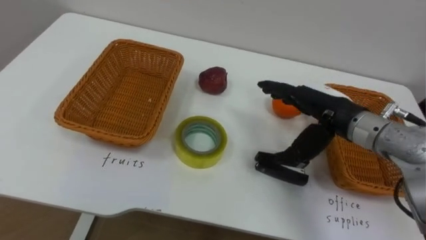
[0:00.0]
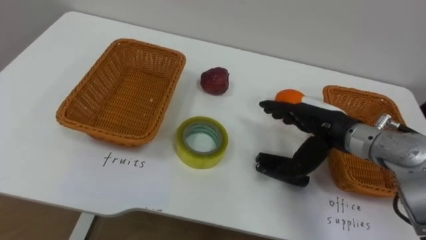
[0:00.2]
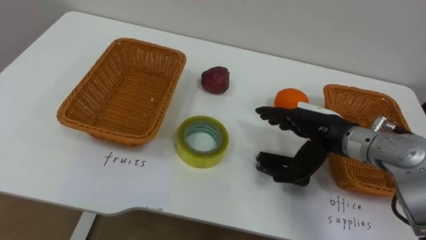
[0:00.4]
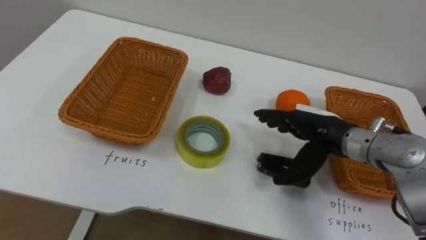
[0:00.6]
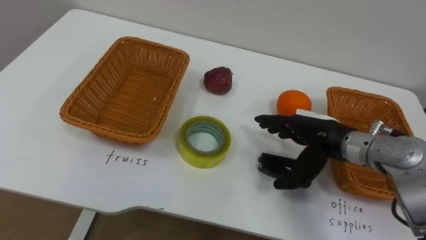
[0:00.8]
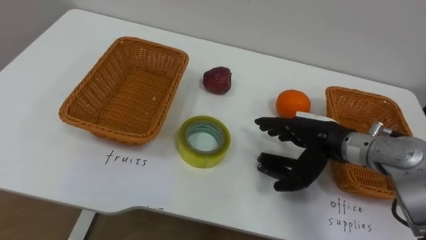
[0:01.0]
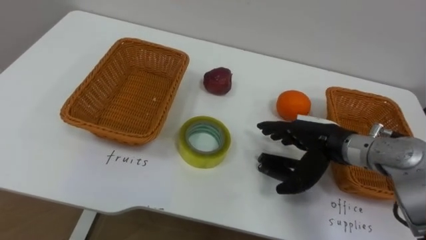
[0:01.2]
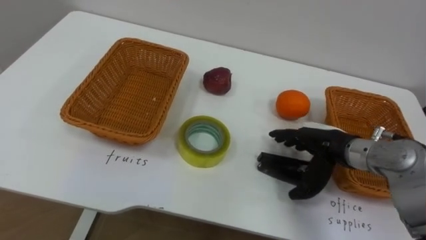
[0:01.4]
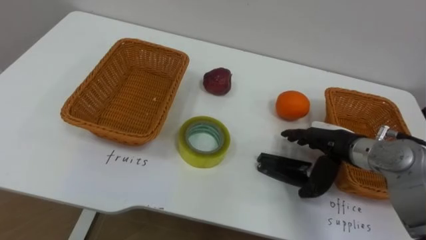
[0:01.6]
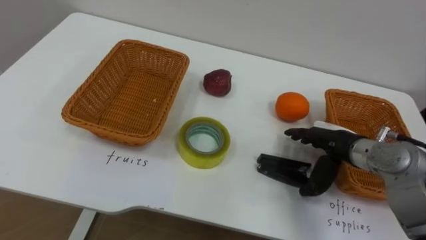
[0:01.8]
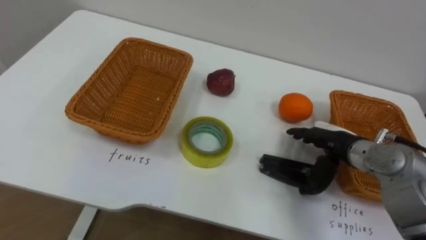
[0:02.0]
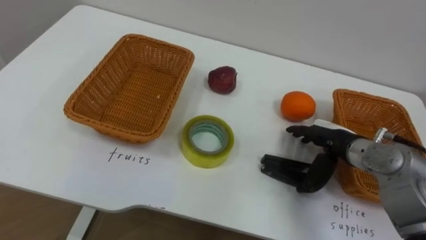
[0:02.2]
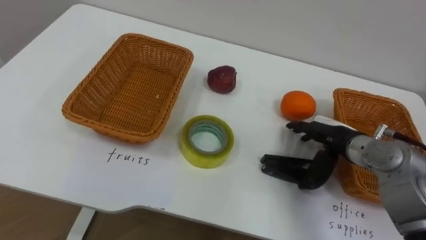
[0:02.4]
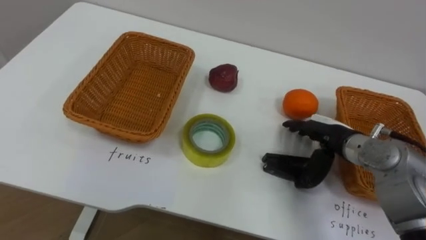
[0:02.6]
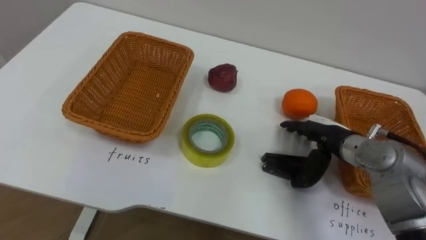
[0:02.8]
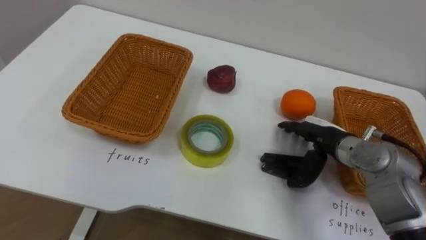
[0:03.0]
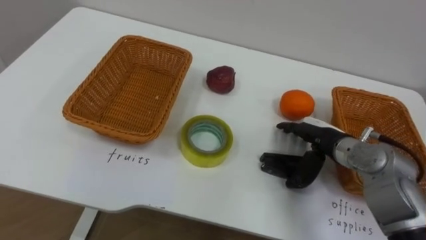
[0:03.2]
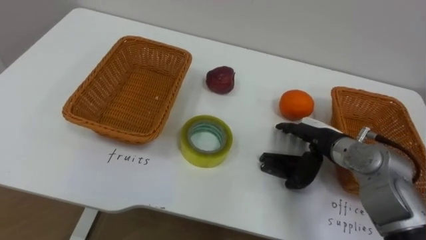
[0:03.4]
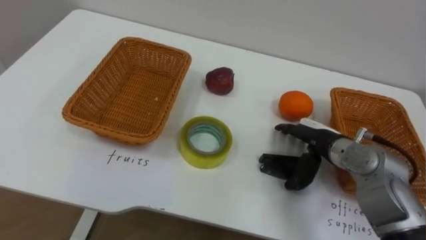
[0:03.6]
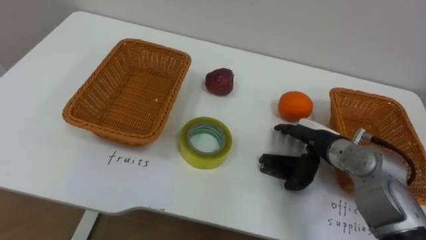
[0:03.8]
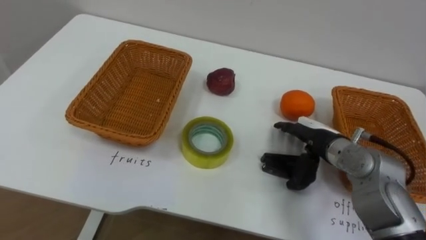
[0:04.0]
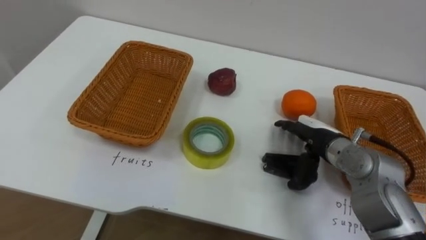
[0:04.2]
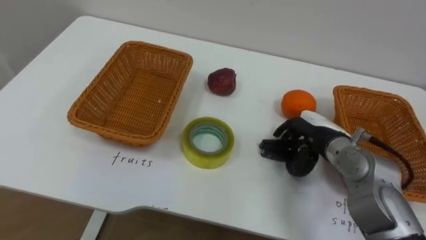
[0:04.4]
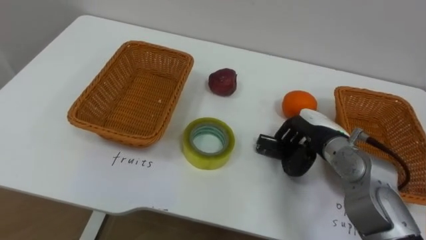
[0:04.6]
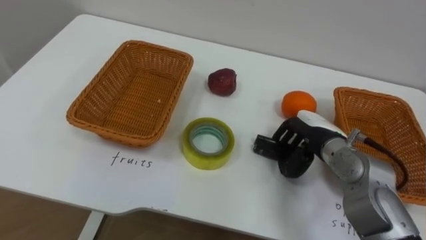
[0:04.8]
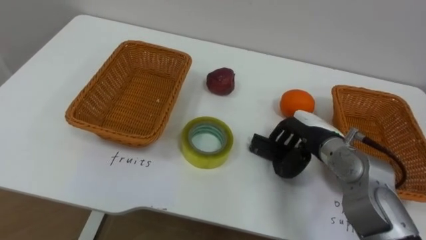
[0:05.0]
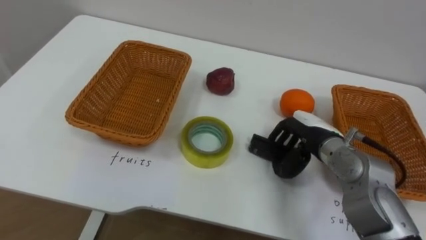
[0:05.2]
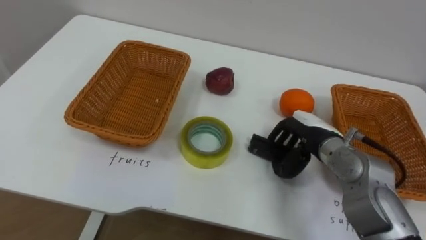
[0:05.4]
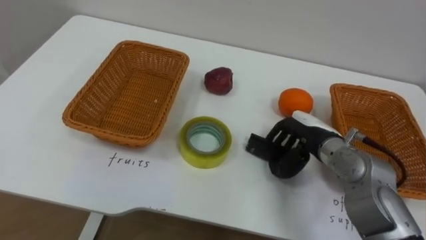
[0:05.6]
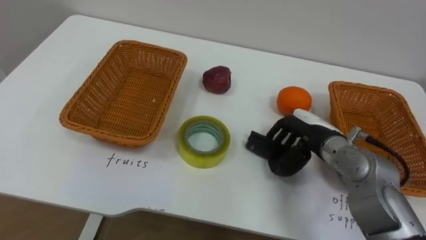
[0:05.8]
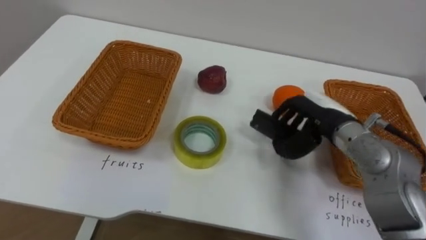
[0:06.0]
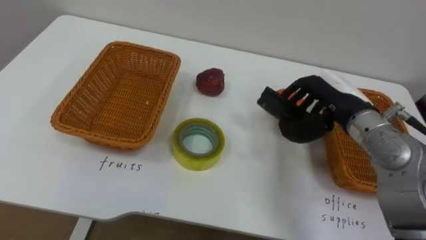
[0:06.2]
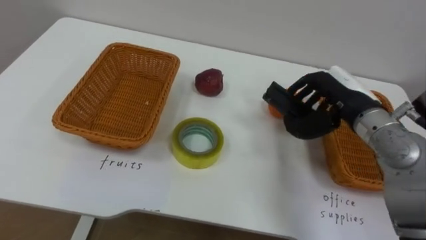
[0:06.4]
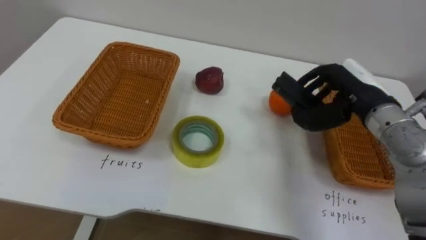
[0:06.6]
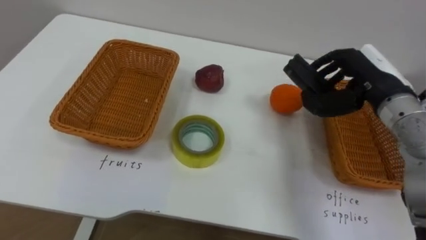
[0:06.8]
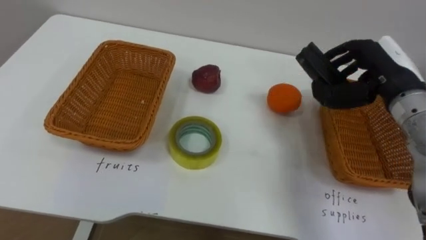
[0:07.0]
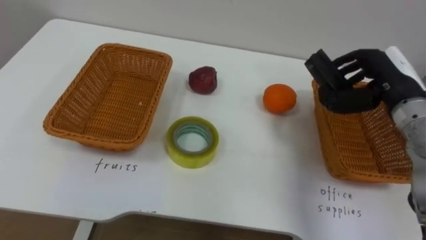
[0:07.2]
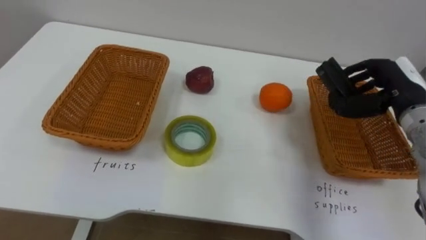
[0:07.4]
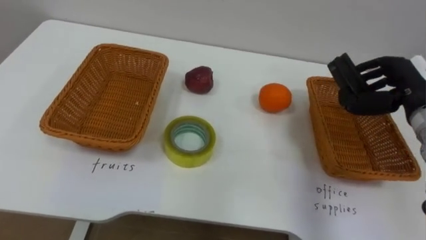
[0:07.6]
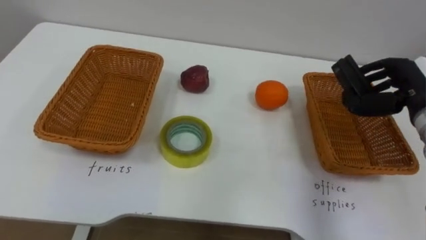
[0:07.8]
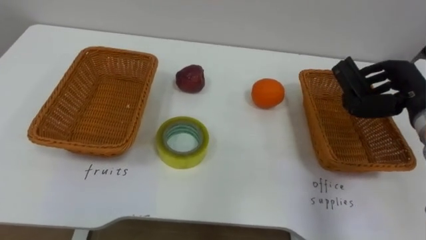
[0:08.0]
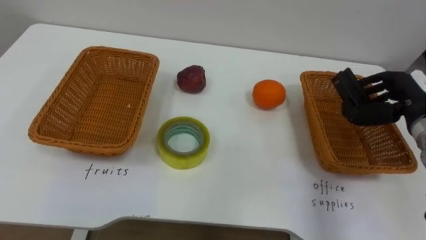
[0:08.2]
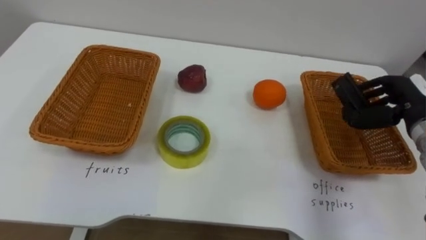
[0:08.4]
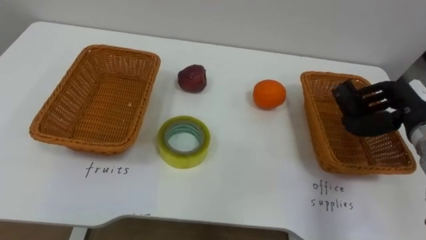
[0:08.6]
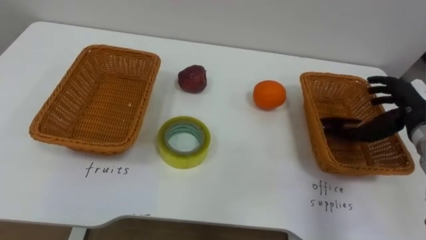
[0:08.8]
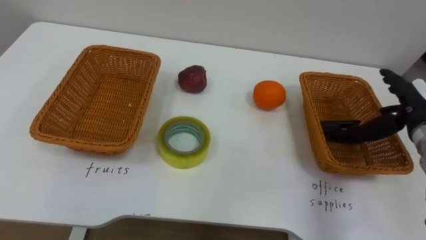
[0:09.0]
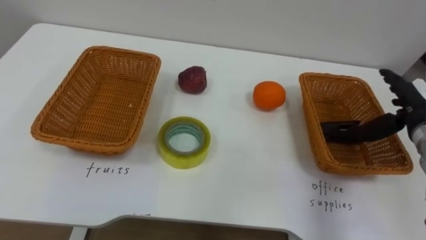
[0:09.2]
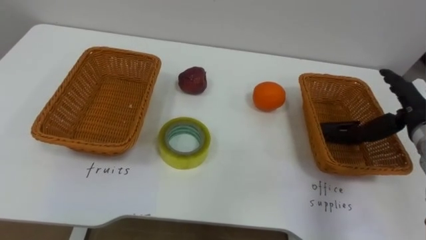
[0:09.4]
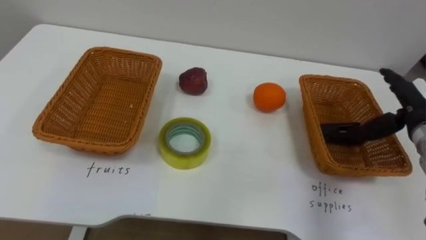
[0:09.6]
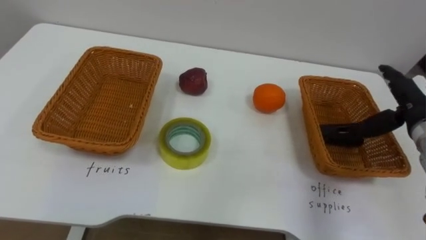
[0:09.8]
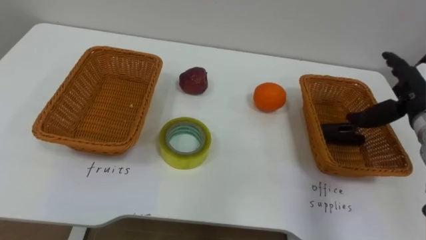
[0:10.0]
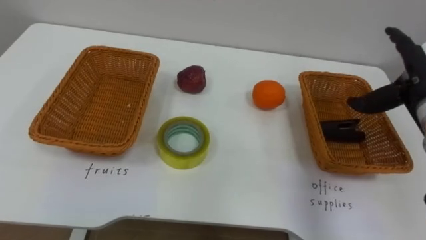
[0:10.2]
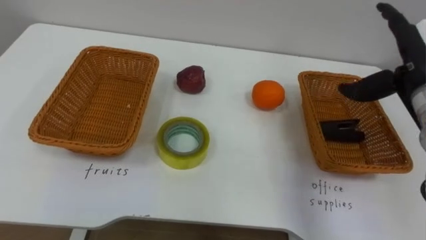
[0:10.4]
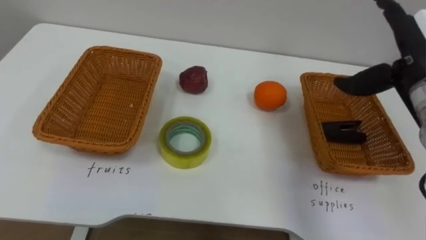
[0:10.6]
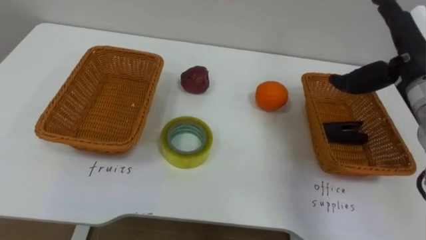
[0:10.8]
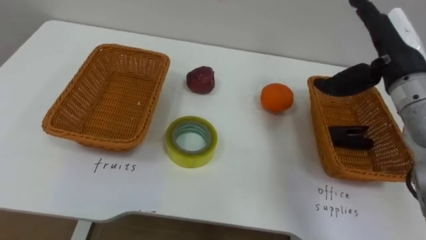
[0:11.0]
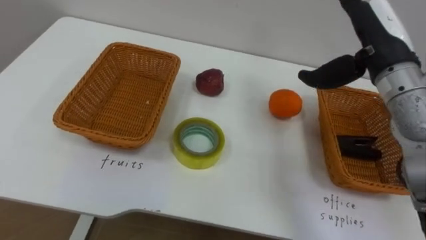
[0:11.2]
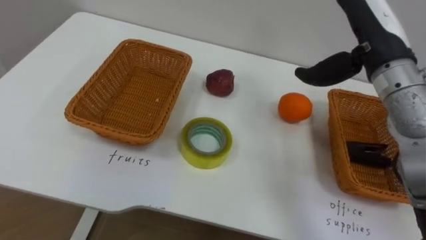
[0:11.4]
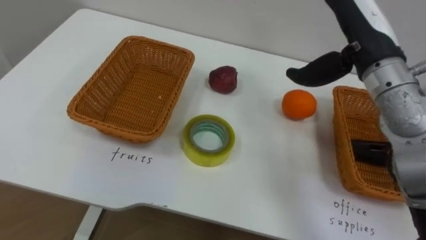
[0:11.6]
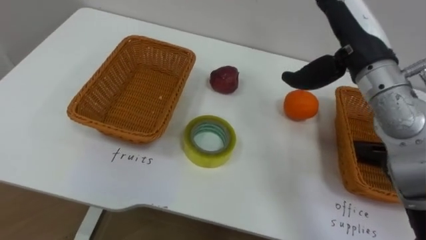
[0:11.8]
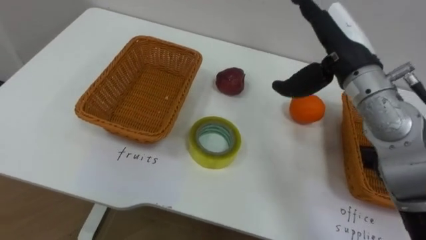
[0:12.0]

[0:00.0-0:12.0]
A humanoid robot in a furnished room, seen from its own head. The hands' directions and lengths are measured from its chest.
Task of the whole recording: Separate the items on the table and place them into the two baskets.
0:00.0 to 0:01.6: The right hand heads downward, covering approximately 10 cm.
0:06.0 to 0:07.6: The right hand goes approximately 15 cm to the right.
0:07.6 to 0:09.0: The right hand opens its fingers.
0:09.0 to 0:10.4: The right hand moves upward, about 10 cm.
0:10.4 to 0:12.0: The right hand moves to the left, about 10 cm.

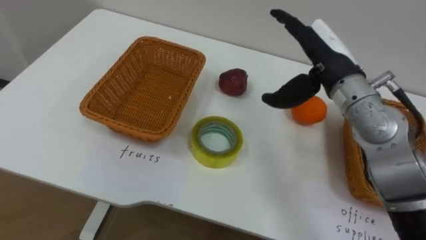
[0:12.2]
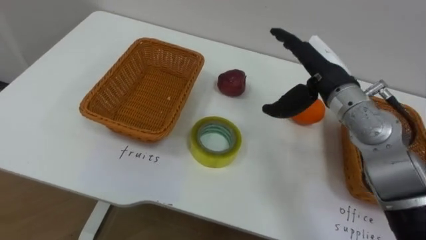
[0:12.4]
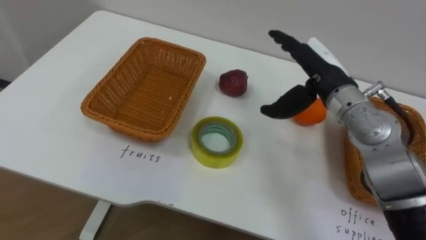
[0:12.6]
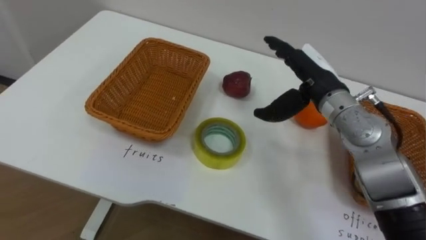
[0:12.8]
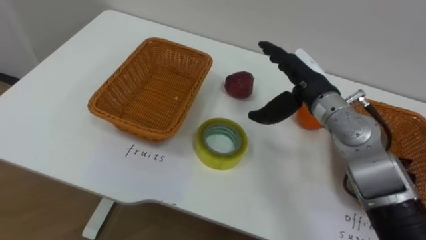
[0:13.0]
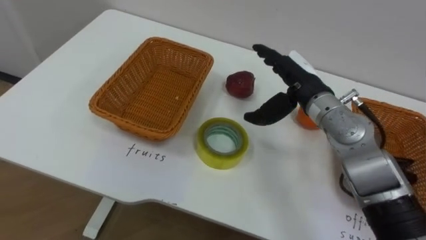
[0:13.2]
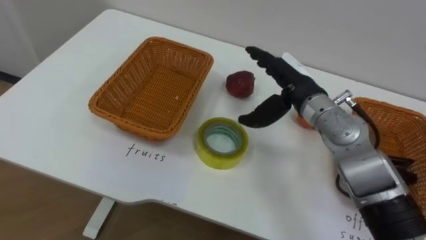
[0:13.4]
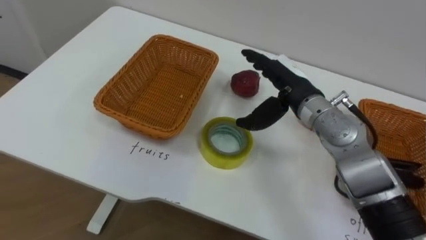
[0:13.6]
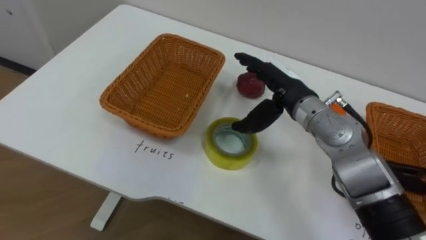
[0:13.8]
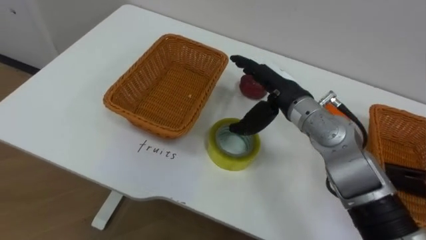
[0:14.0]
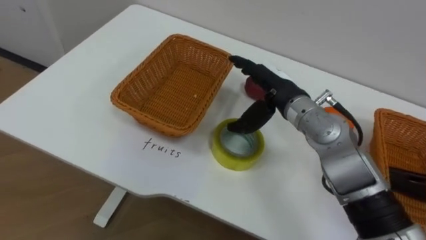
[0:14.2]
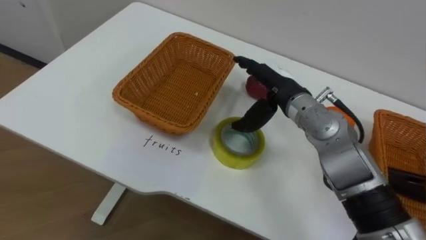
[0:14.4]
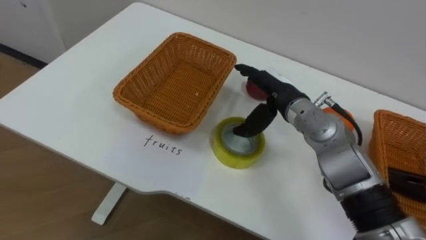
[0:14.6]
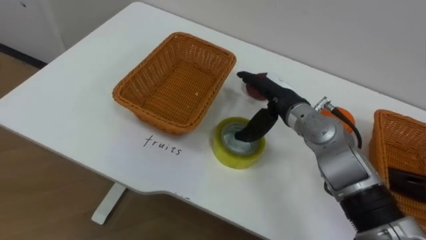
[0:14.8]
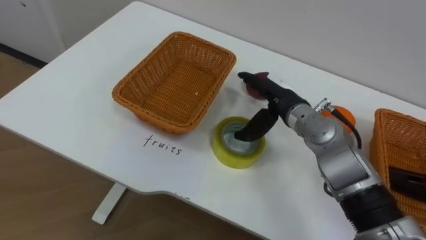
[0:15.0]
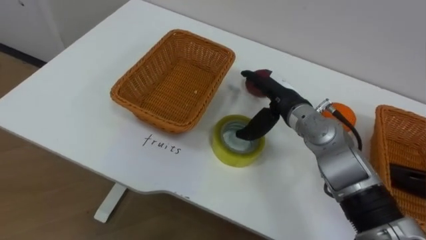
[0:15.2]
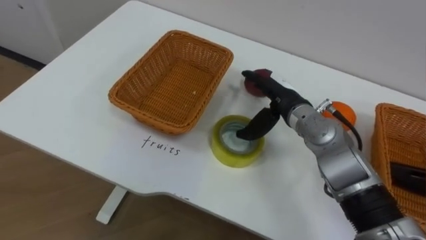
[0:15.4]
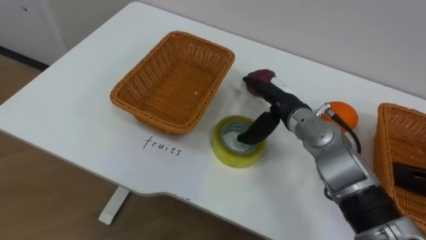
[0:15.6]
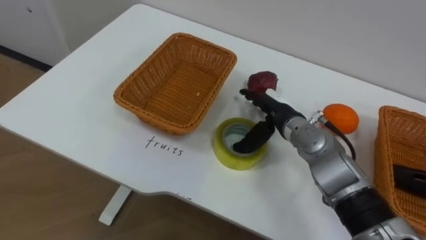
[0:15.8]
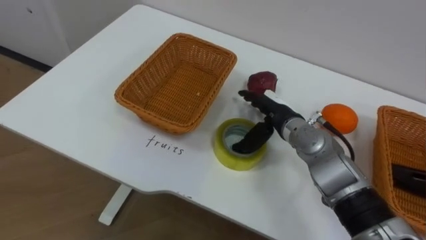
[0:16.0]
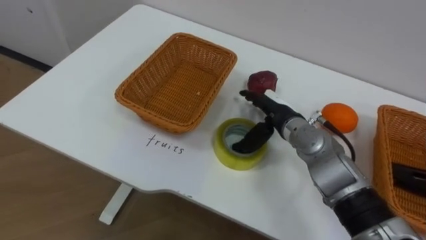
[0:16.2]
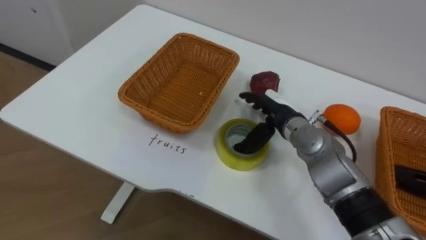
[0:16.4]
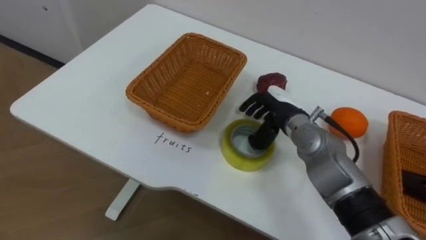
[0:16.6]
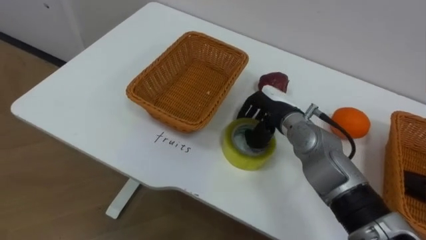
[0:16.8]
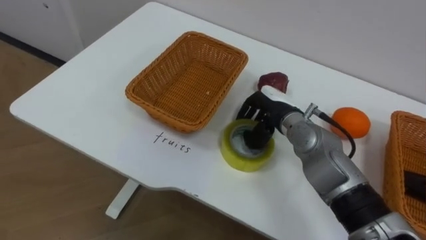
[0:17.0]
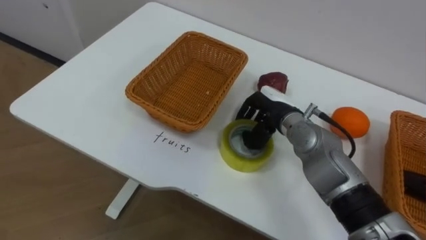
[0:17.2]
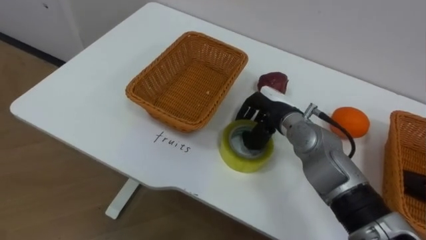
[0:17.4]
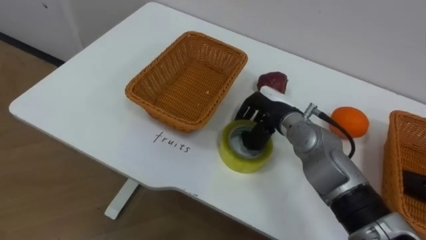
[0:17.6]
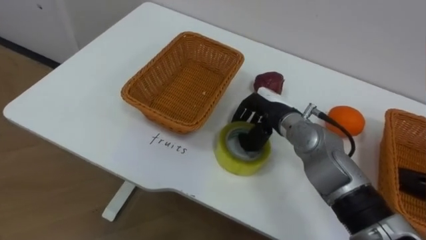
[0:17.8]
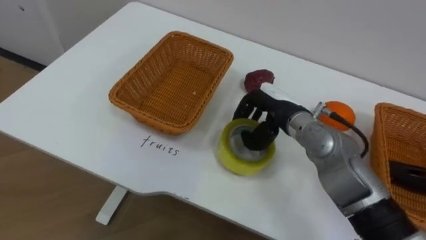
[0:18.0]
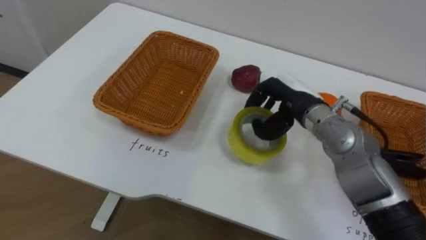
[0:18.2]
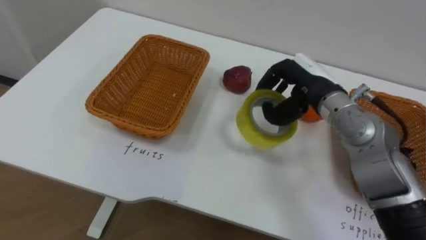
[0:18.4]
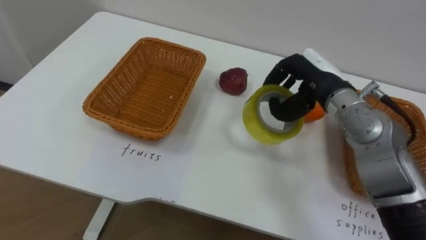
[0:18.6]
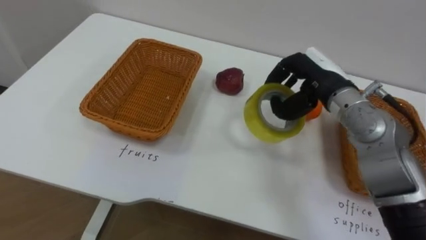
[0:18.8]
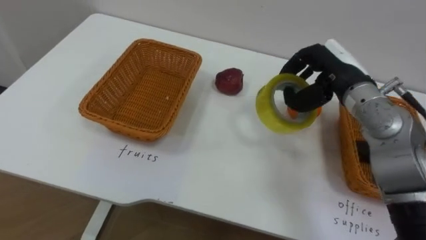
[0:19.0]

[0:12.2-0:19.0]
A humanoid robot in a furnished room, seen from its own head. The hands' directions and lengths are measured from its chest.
Task of the whole recording: Separate the items on the table and place them into the two baskets.
0:12.2 to 0:13.6: The right hand shifts some 5 cm downward.
0:16.2 to 0:17.6: The right hand closes its fingers.
0:17.6 to 0:19.0: The right hand is displaced upward and to the right by about 15 cm.
